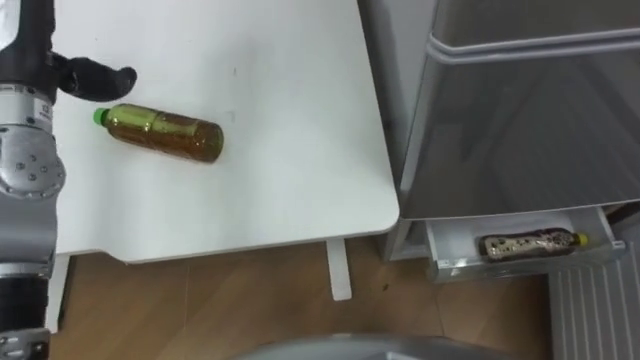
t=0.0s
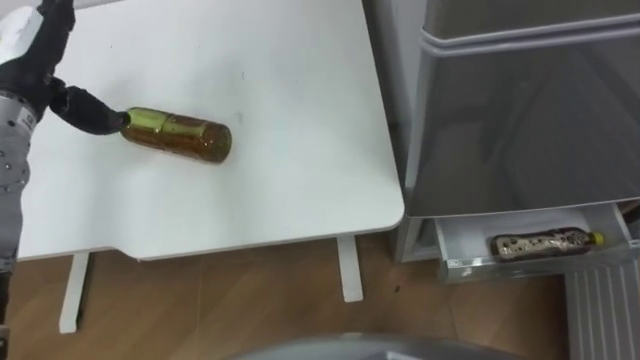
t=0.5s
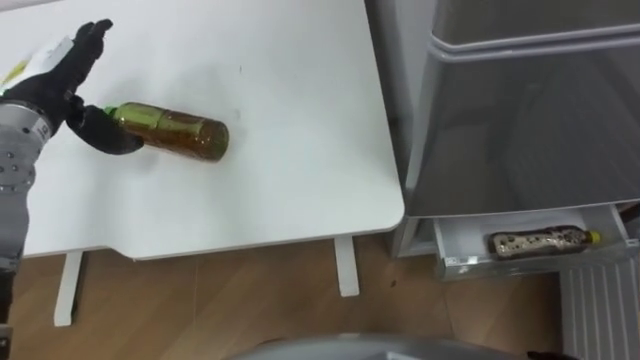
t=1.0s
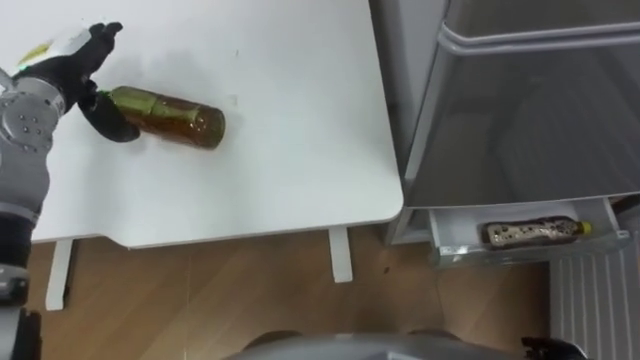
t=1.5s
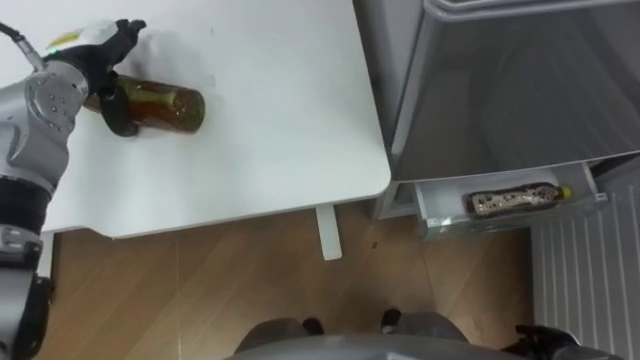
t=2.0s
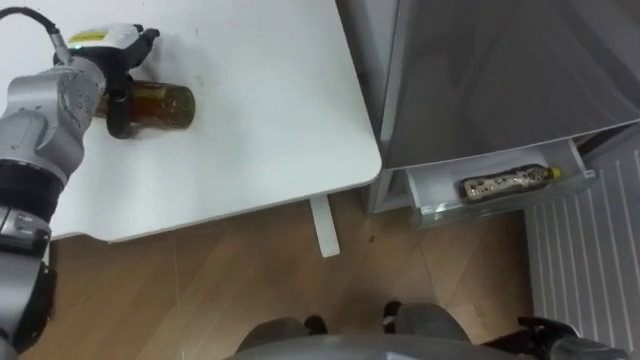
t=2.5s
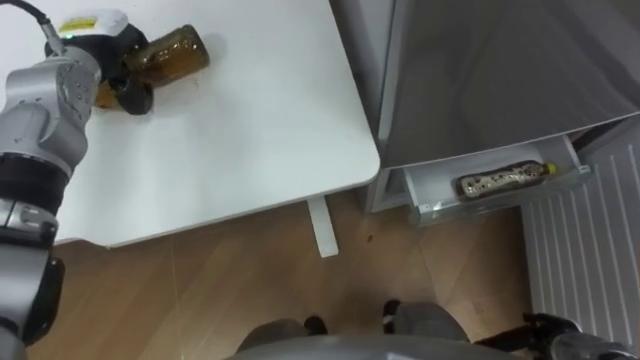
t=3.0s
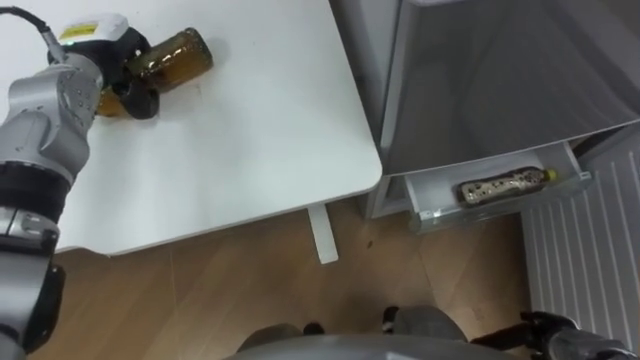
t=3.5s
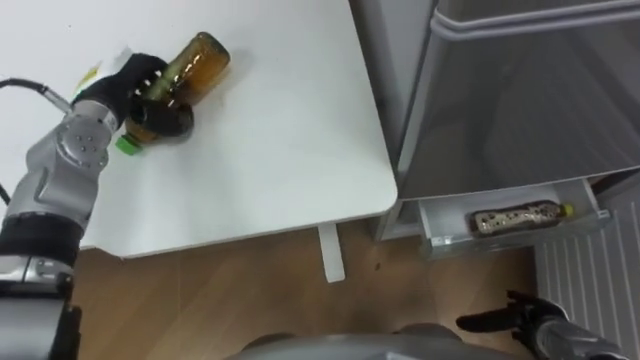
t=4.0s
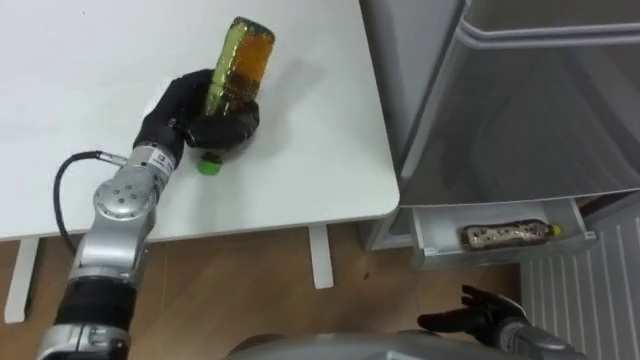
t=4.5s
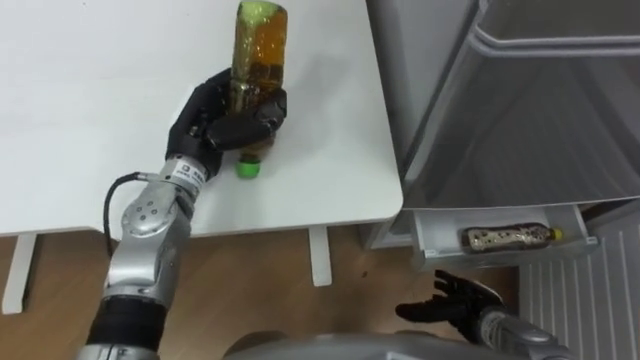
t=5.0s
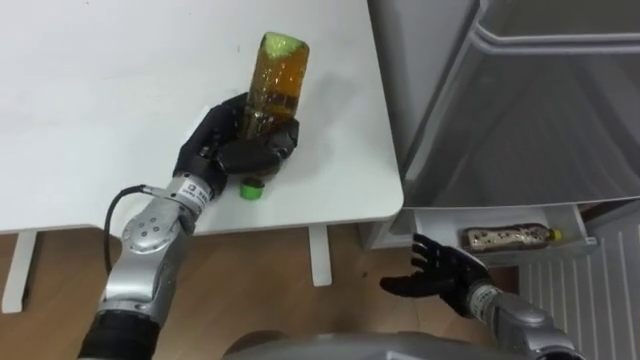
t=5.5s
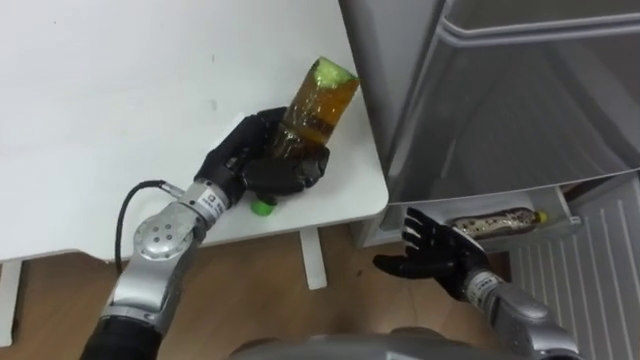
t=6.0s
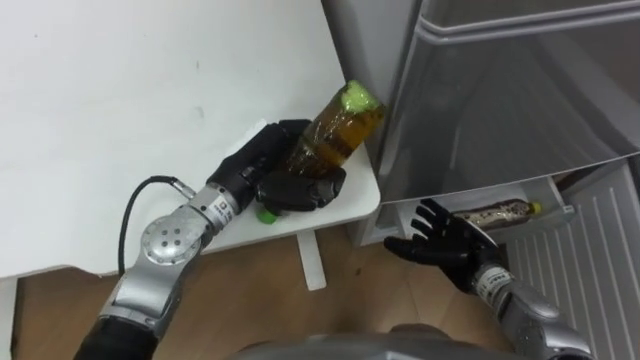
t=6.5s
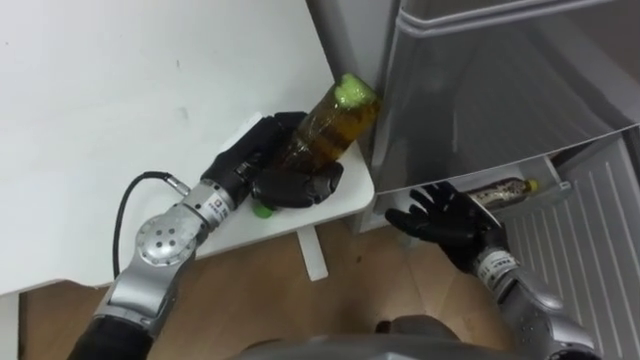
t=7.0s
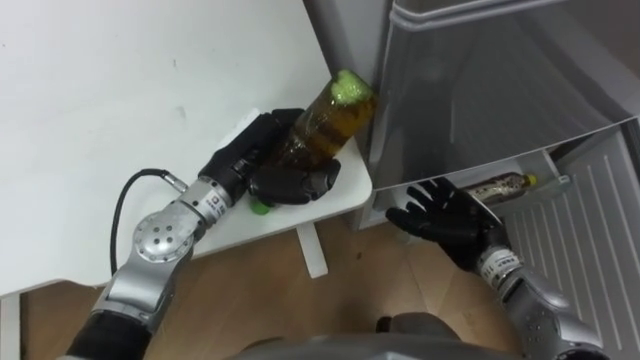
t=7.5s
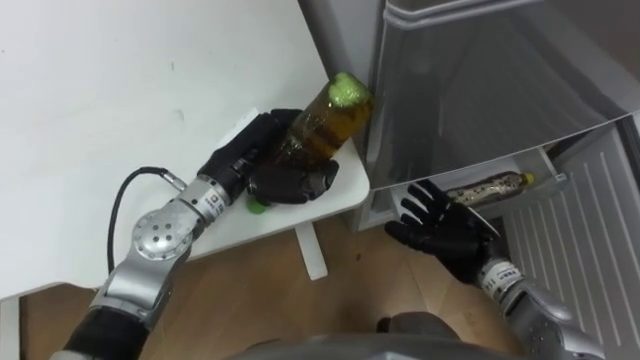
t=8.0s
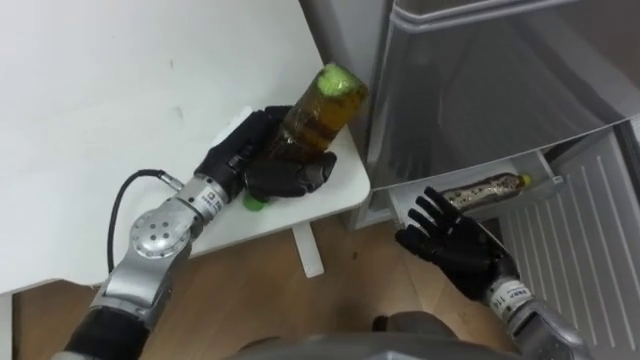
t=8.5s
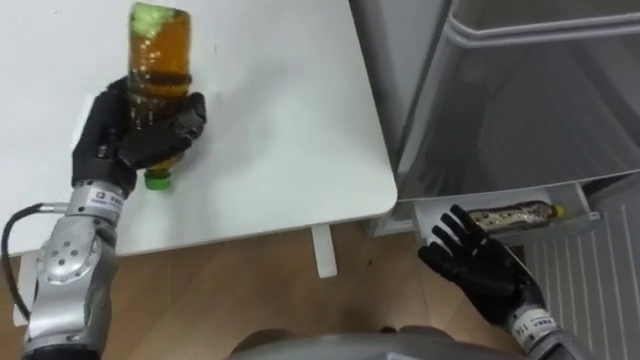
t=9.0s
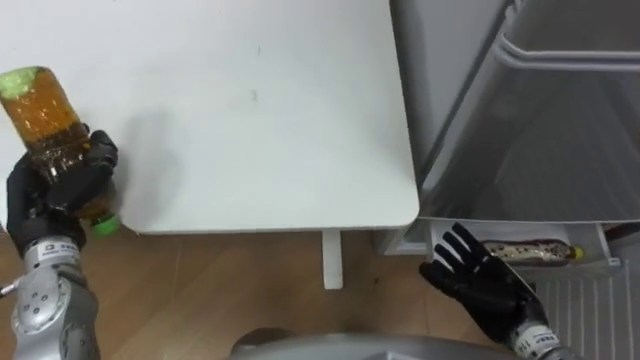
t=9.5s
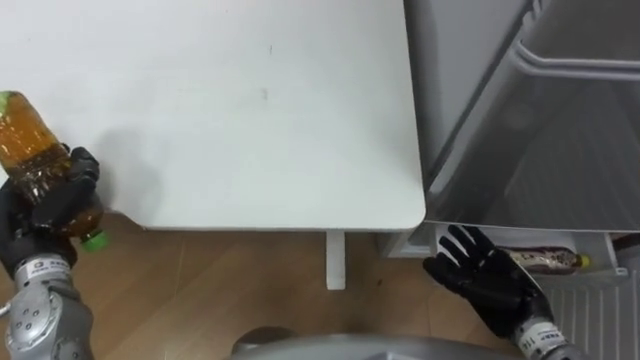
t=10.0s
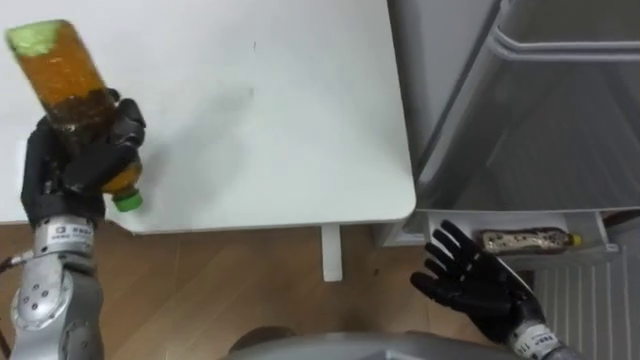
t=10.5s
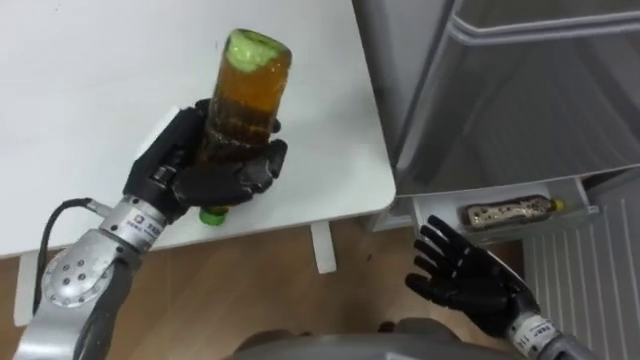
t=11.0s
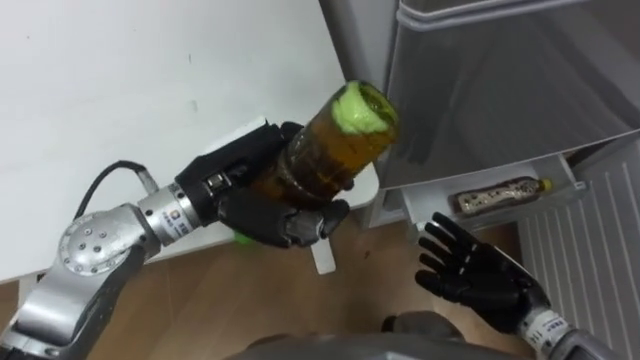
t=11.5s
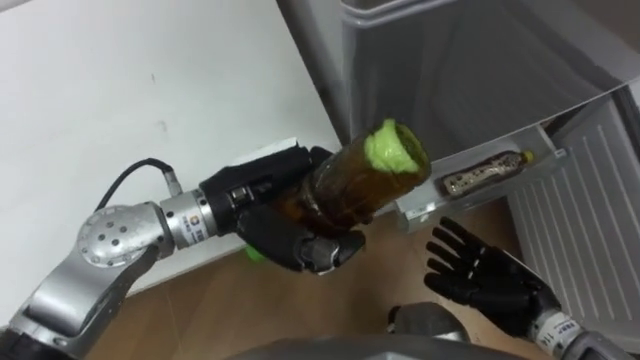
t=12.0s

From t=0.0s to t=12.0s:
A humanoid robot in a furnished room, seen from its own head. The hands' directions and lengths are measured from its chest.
Task of the whole recording: Place the drink on the table on the bottom shelf of the refrigerator, then close the drawer and the refrigerator door.
From t=2.0s to t=4.0s: The left hand closes up.
From t=4.0s to t=6.0s: The left hand goes roughly 15 cm to the right and backward; the right hand heads to the left and forward, covering approximately 15 cm.
From t=8.0s to t=10.0s: The left hand heads to the left, covering roughly 25 cm. The right hand is displaced backward by about 5 cm.
From t=10.0s to t=12.0s: The left hand moves to the right, some 30 cm.

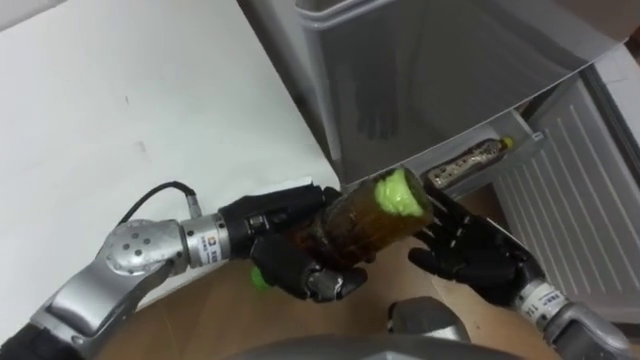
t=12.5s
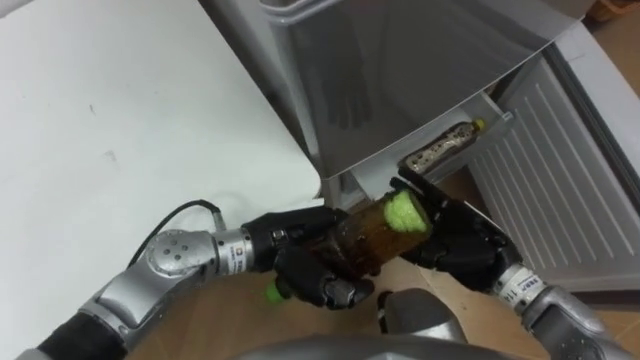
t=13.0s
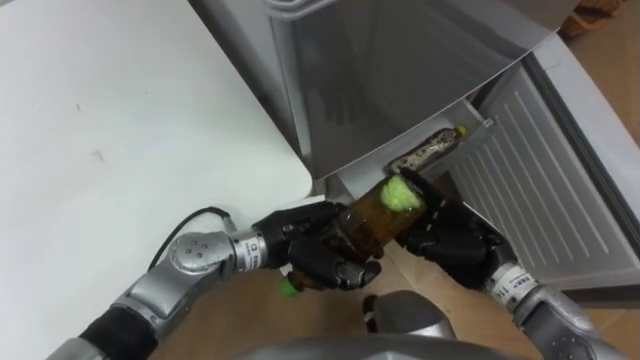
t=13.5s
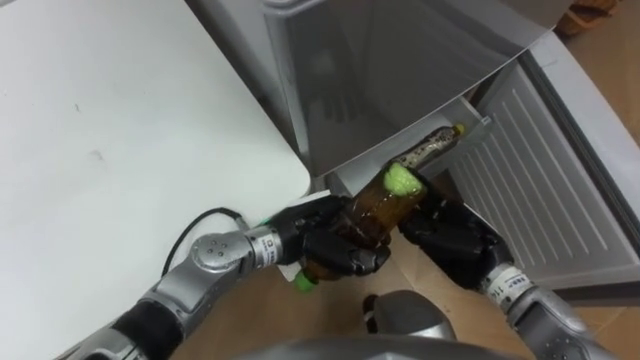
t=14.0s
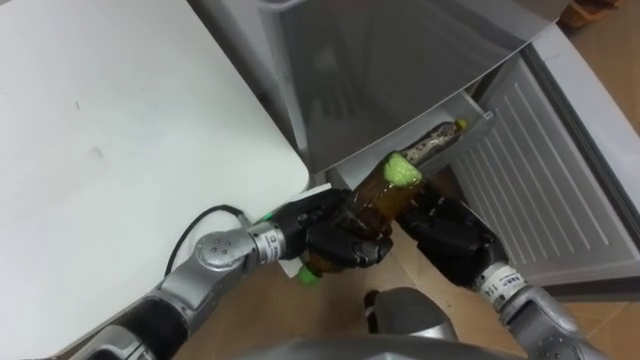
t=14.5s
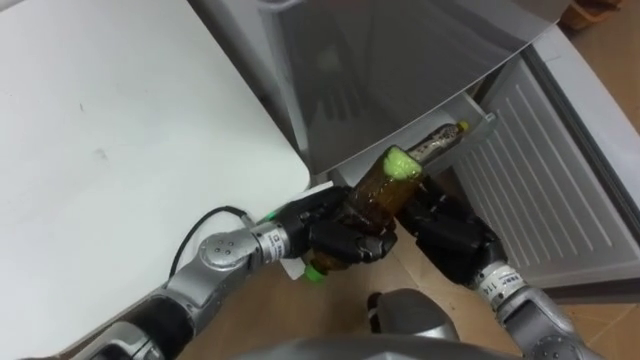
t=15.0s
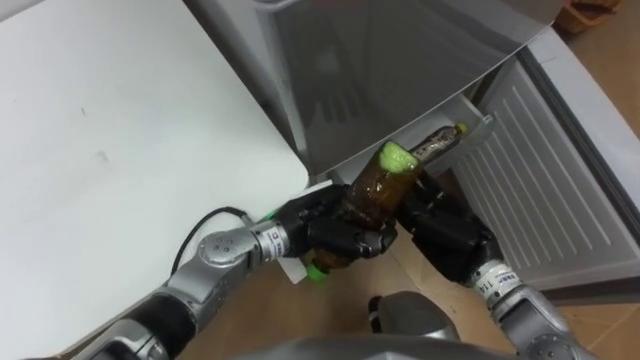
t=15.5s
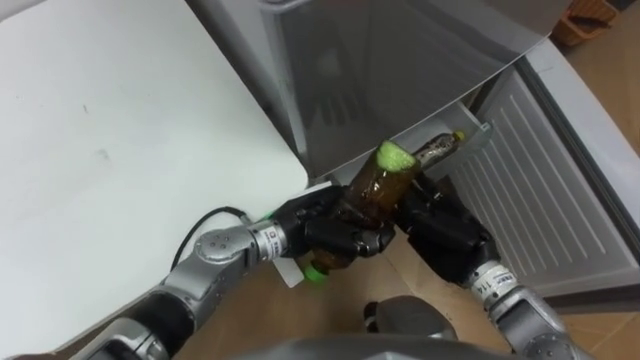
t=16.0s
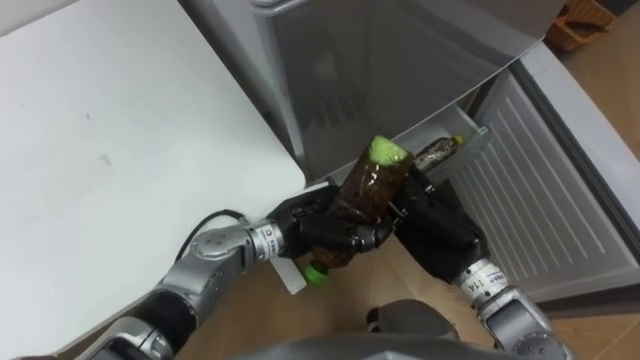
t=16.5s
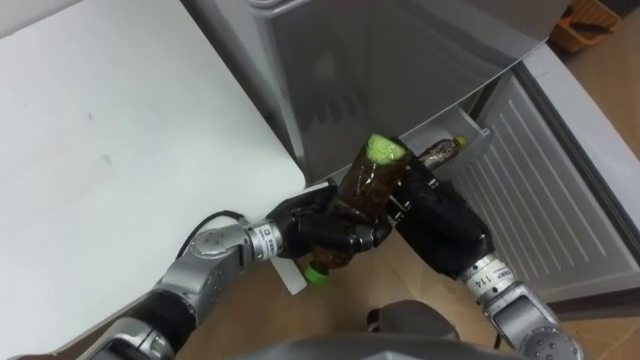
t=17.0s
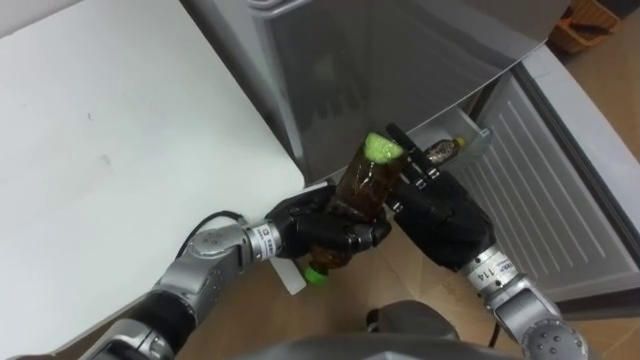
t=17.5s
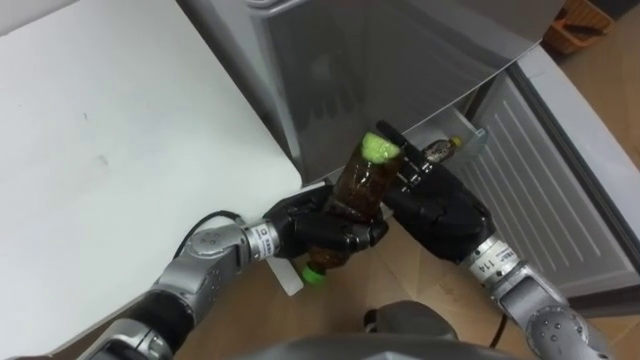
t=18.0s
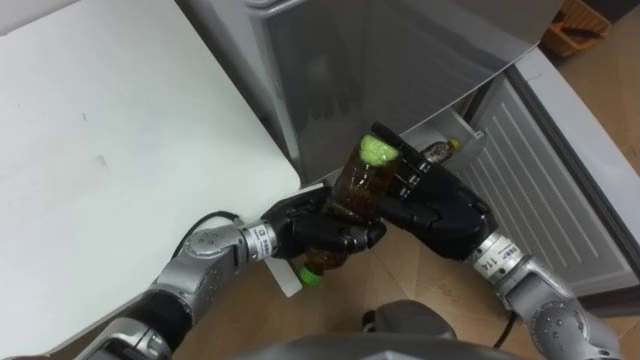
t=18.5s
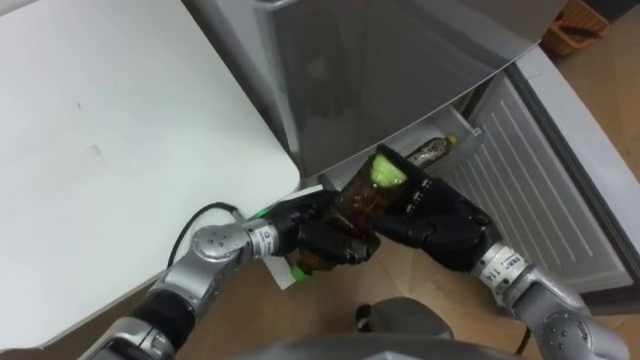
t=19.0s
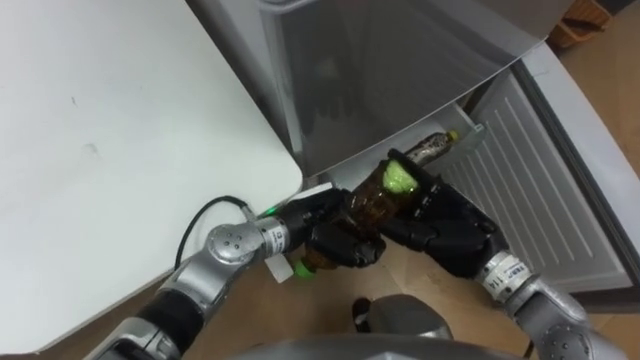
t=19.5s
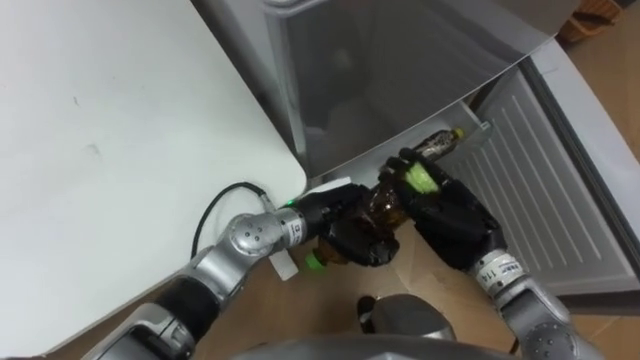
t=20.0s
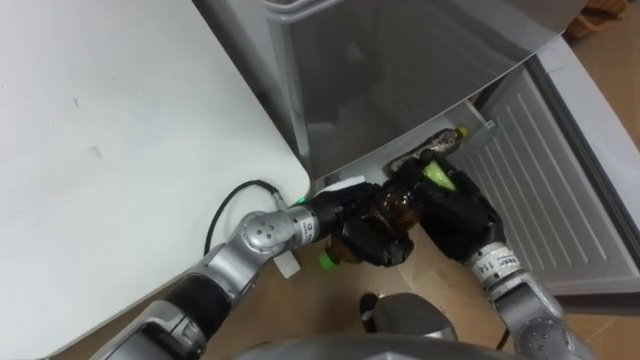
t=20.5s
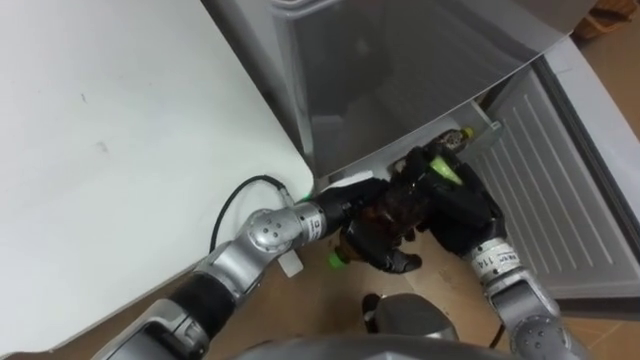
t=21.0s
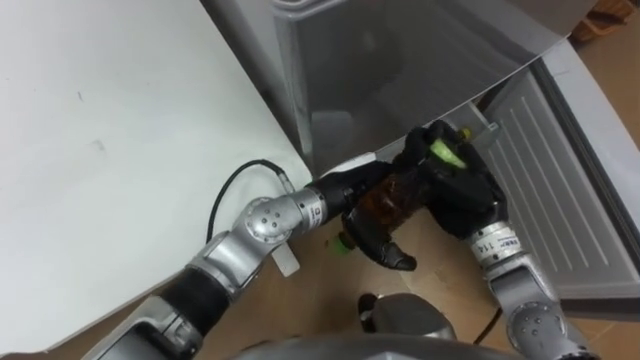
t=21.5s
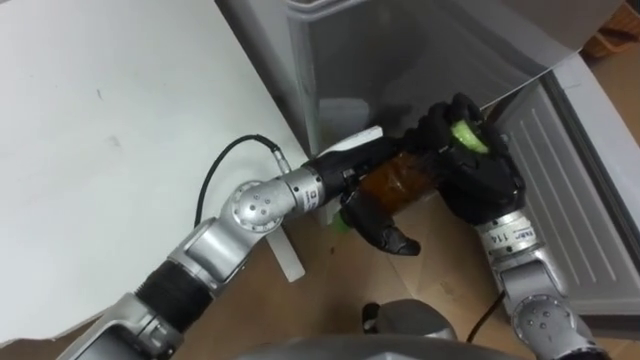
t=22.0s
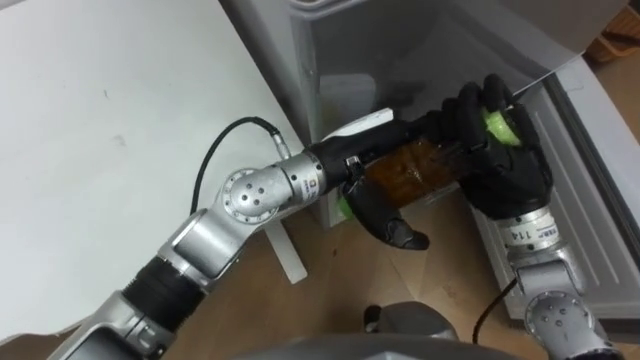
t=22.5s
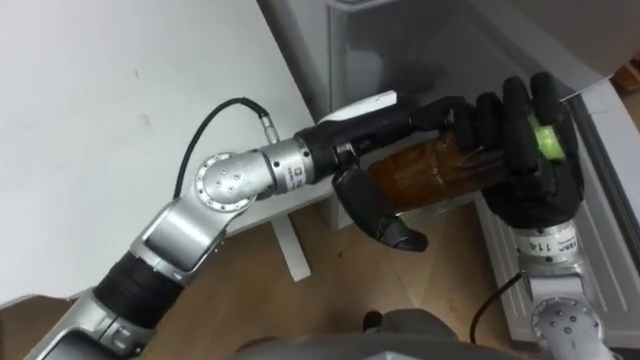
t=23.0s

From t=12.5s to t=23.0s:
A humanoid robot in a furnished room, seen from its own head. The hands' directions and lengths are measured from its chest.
Task of the whole recording: Place the drink on the table on the bottom shelf of the refrigerator, then close the drawer and the refrigerator door.
From t=12.5s to t=14.5s: The left hand travels downward by about 10 cm. The right hand ends up approximately 5 cm from where it was.
From t=19.0s to t=21.0s: The right hand closes. The left hand goes approximately 5 cm to the right.
From t=21.0s to t=23.0s: The hands both shift upward by roughly 15 cm. The left hand opens up.
